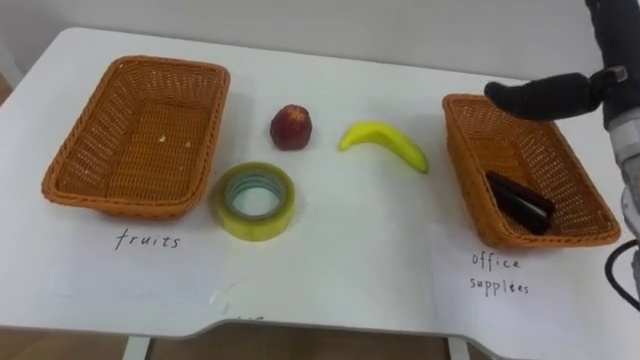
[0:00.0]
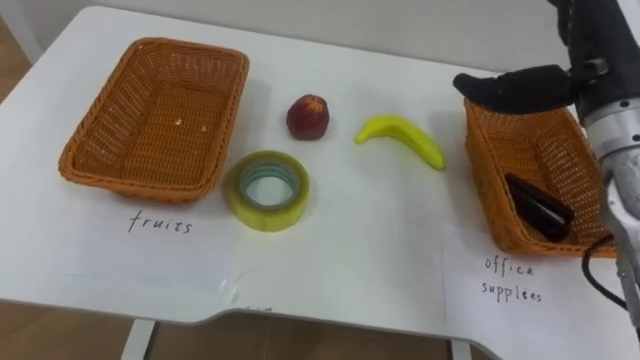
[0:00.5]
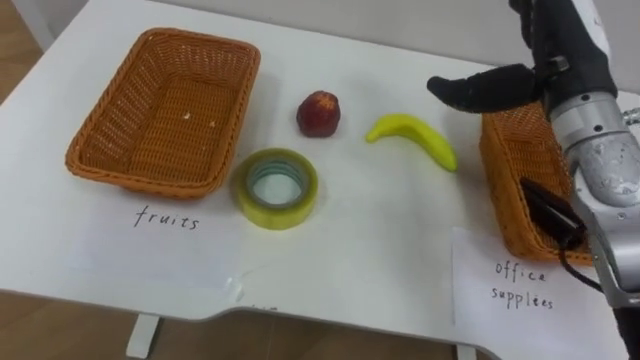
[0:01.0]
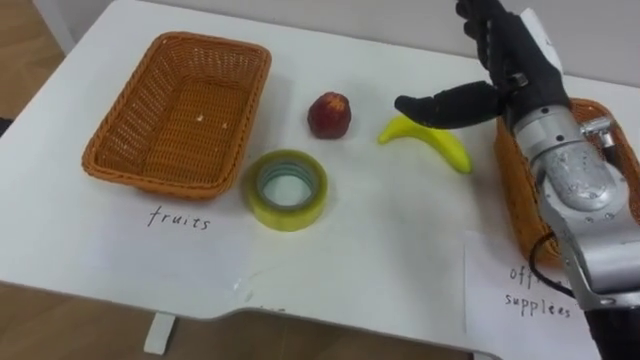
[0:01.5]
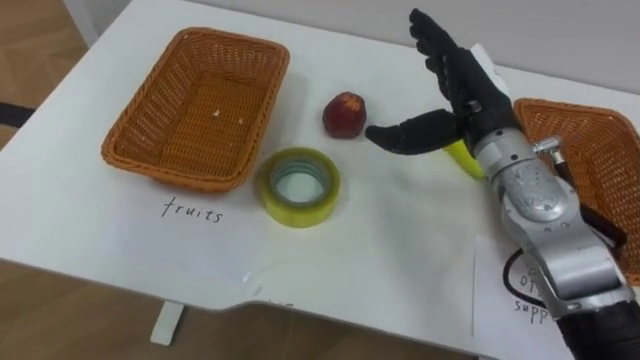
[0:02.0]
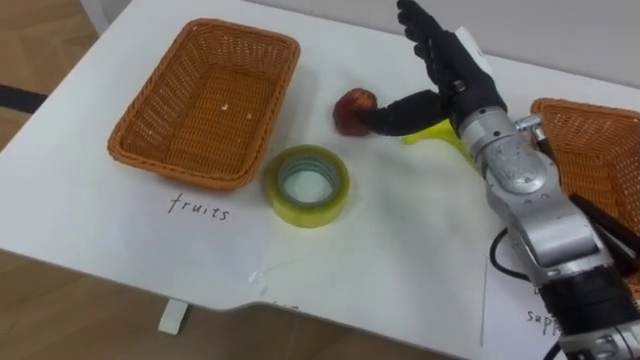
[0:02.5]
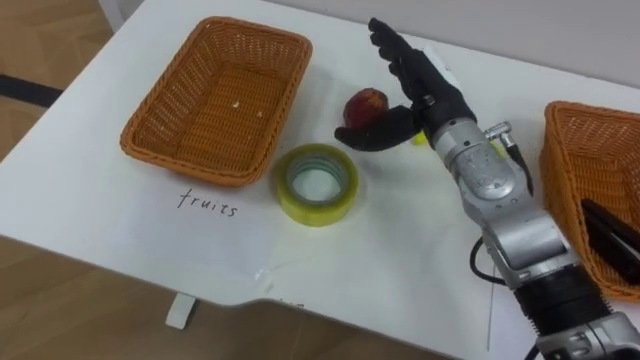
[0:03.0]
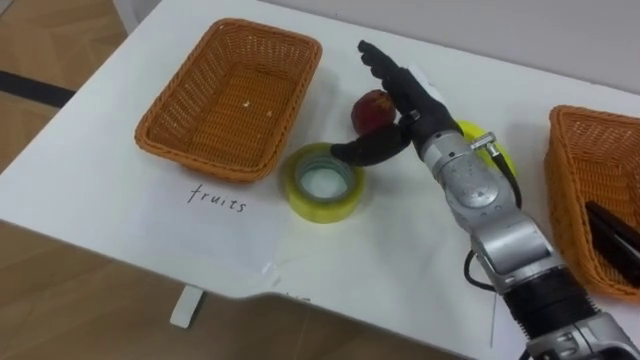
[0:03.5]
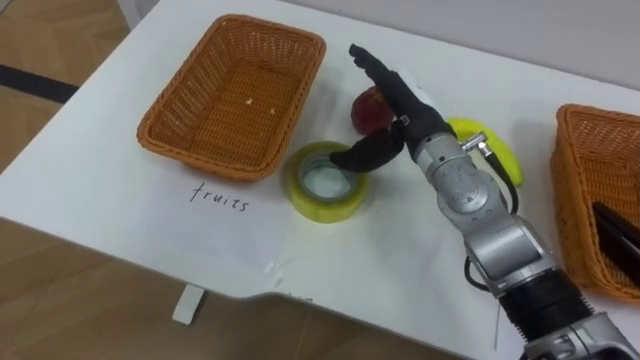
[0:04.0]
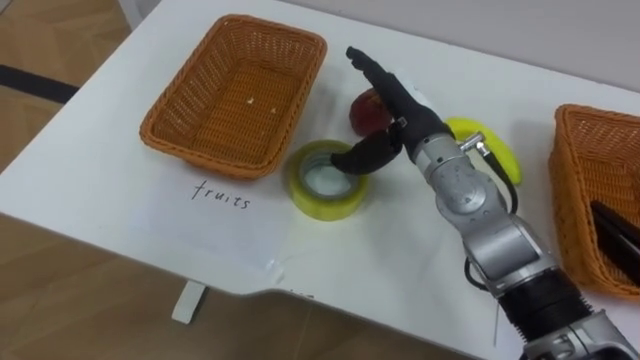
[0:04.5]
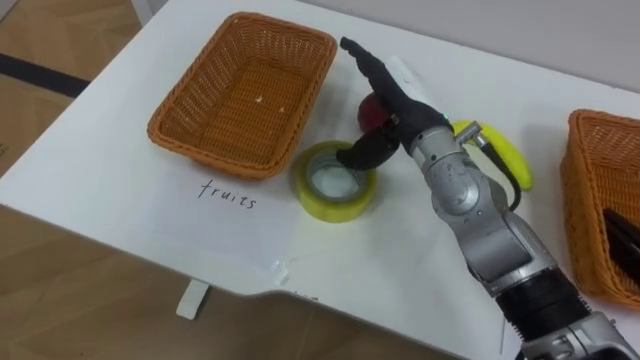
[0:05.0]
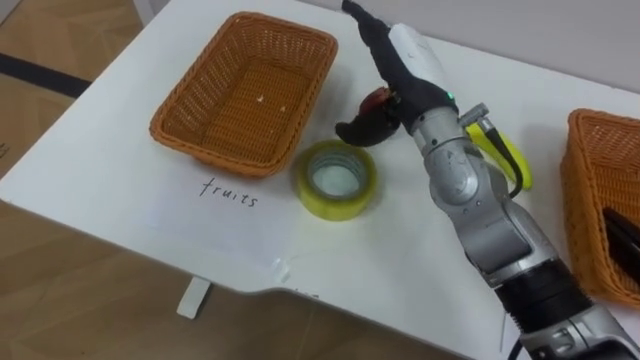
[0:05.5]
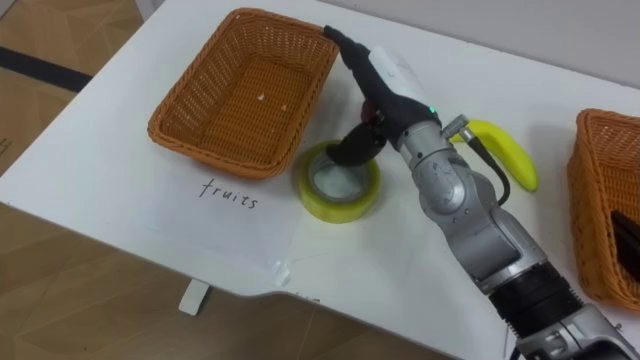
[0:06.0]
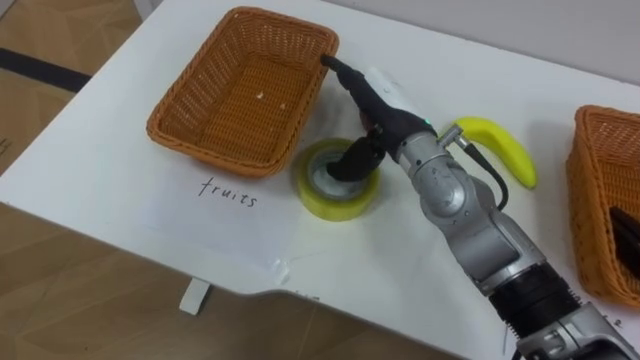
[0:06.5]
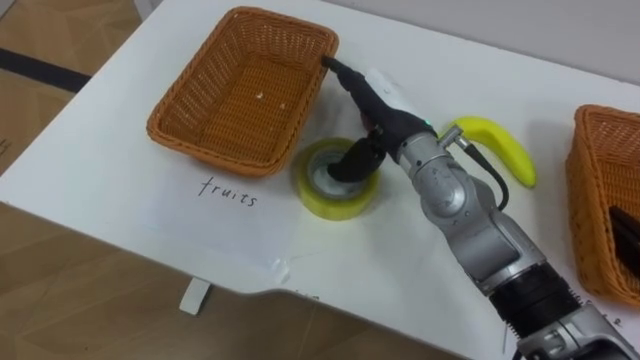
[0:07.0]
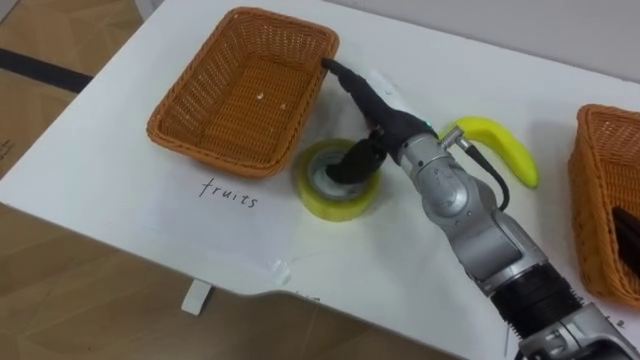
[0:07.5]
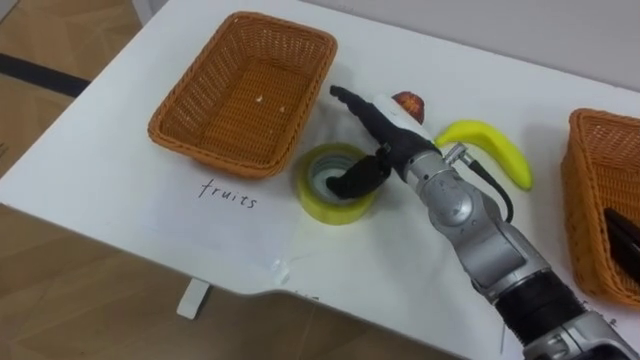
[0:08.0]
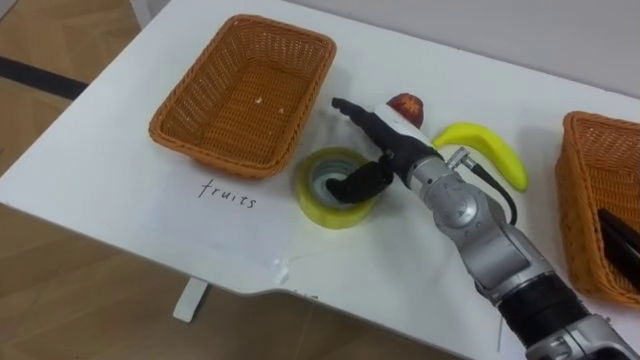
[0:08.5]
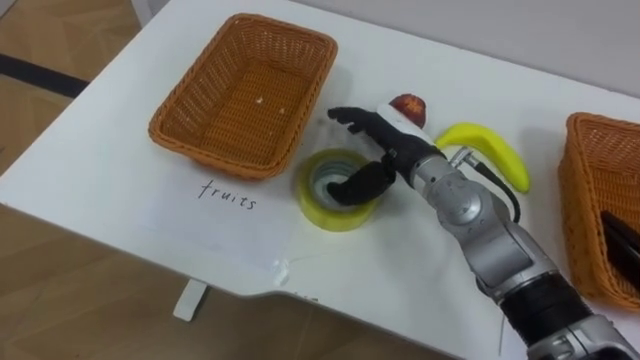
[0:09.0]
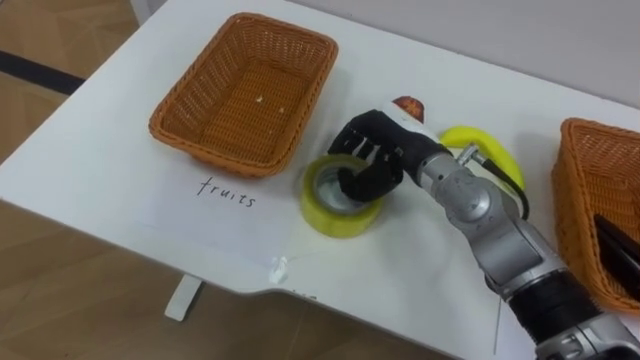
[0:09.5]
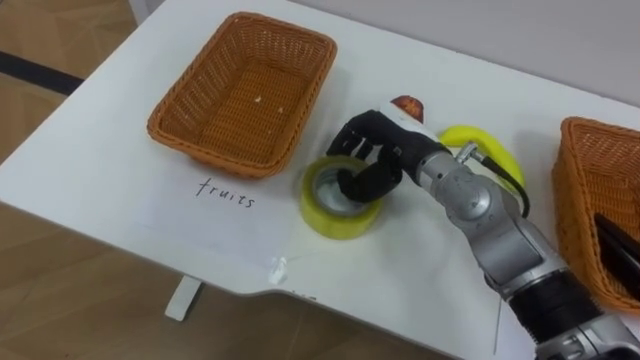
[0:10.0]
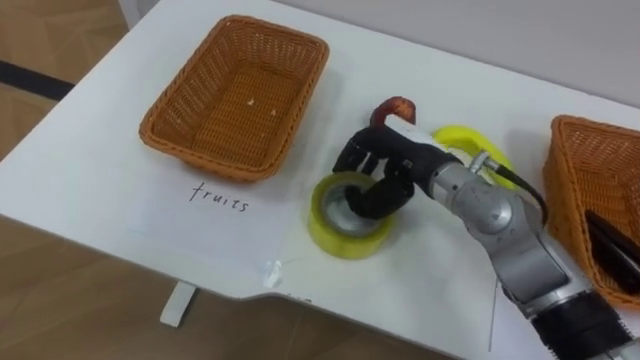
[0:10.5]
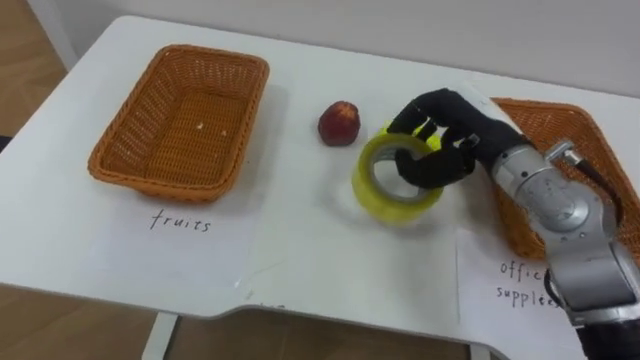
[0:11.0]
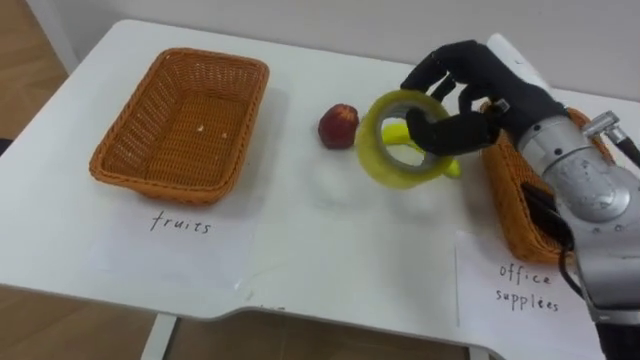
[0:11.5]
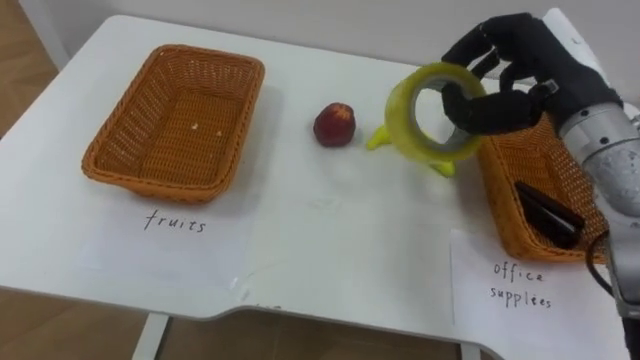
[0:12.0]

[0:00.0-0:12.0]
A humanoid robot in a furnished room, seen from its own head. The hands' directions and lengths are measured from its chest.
Task of the whole recording: Separate the items on the table and place them into the two baskets.
0:00.0 to 0:02.0: The right hand goes some 15 cm to the left and downward.
0:02.0 to 0:04.0: The right hand travels to the left by approximately 5 cm.
0:06.0 to 0:08.0: The right hand heads downward, covering some 5 cm.
0:08.0 to 0:10.0: The right hand closes.
0:10.0 to 0:12.0: The right hand moves to the right and upward, about 20 cm.

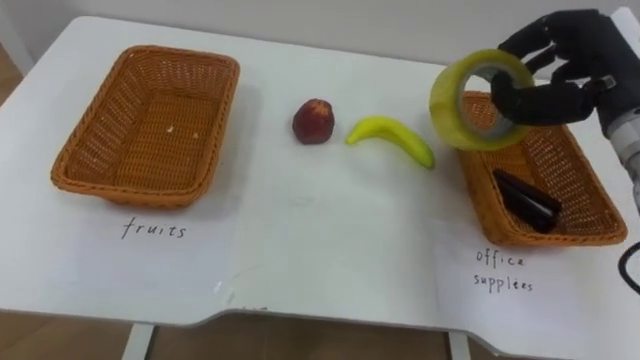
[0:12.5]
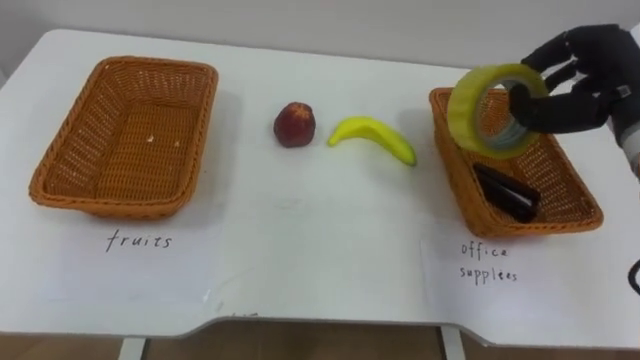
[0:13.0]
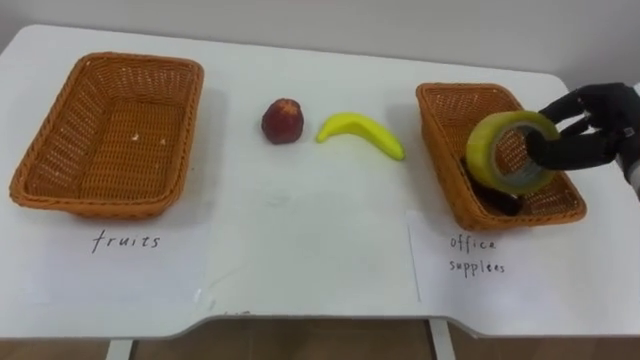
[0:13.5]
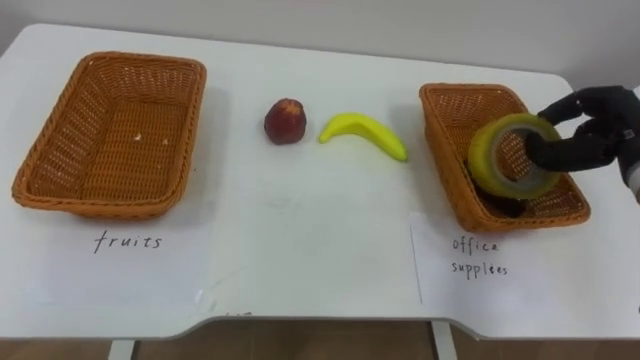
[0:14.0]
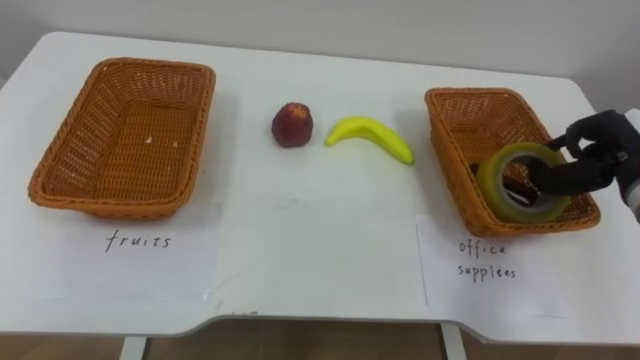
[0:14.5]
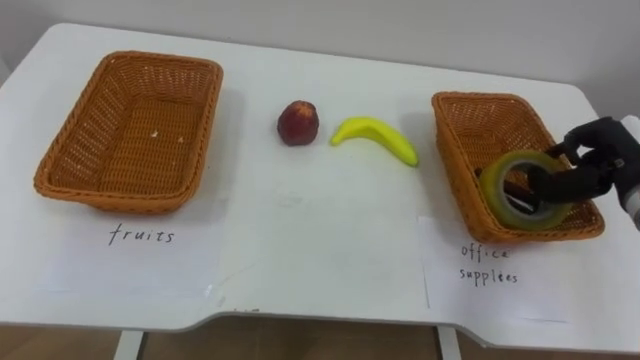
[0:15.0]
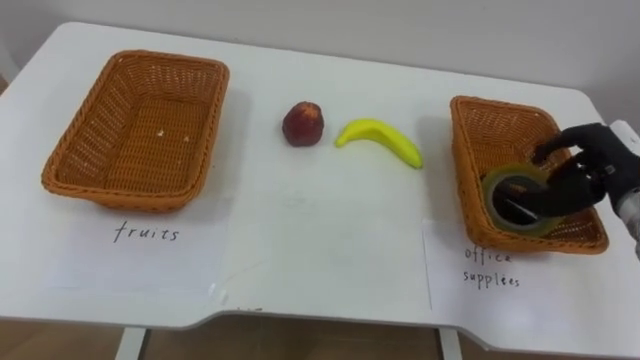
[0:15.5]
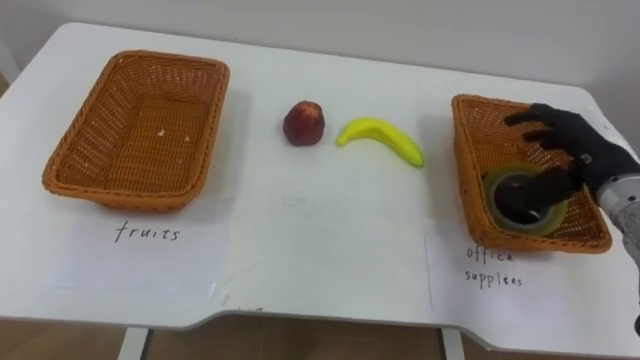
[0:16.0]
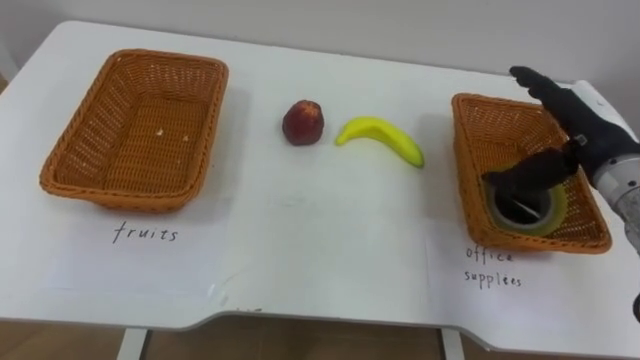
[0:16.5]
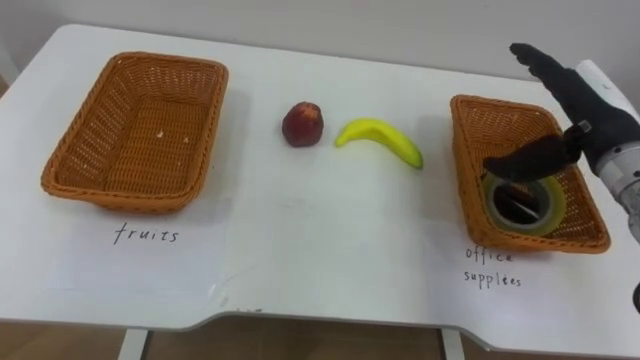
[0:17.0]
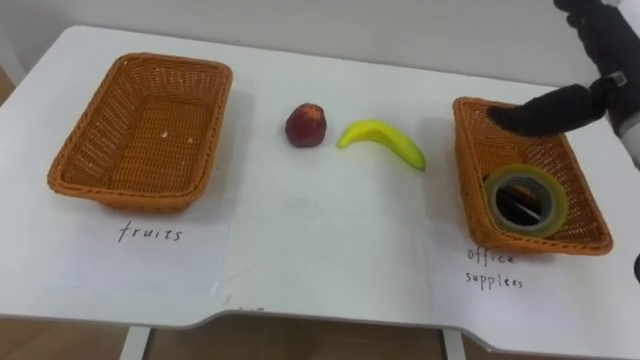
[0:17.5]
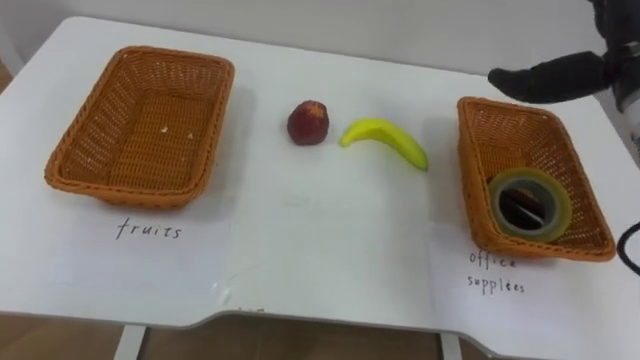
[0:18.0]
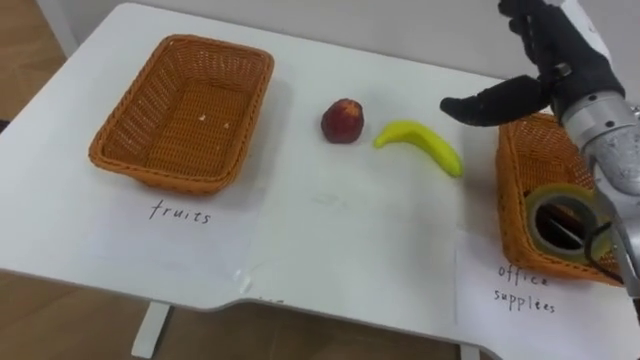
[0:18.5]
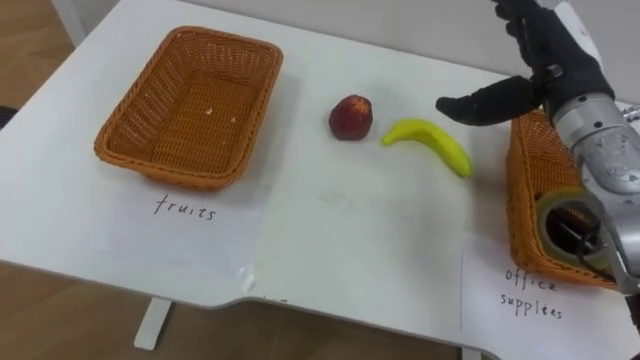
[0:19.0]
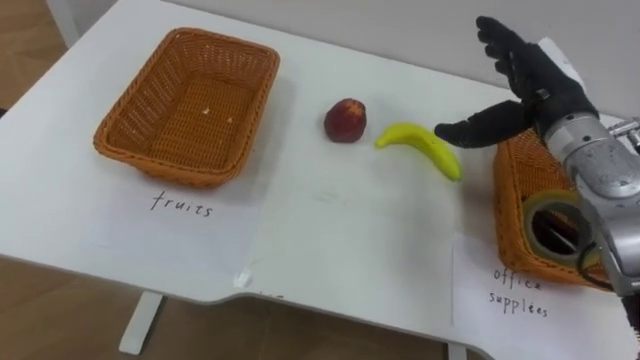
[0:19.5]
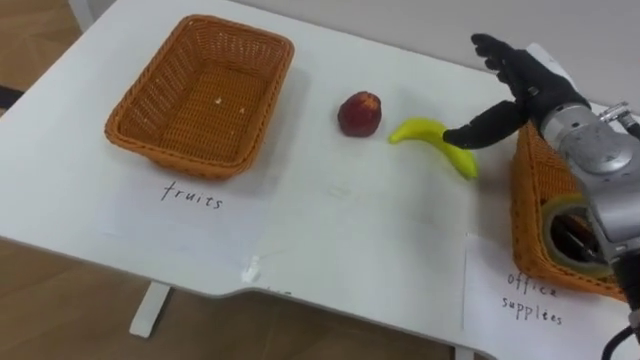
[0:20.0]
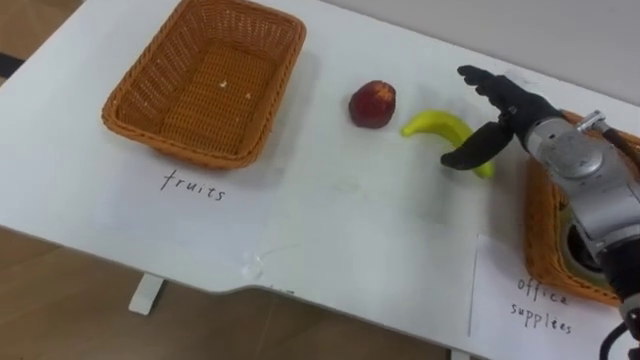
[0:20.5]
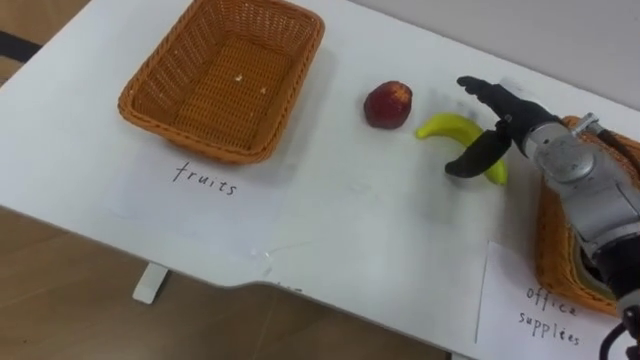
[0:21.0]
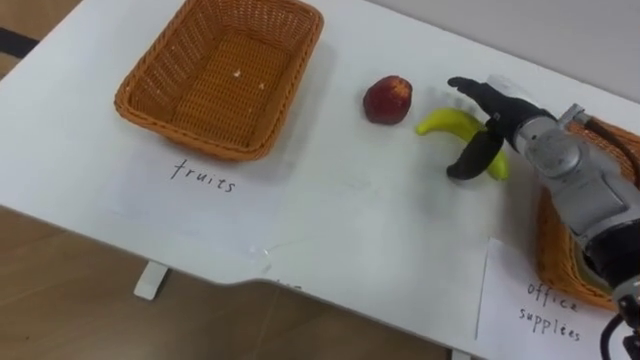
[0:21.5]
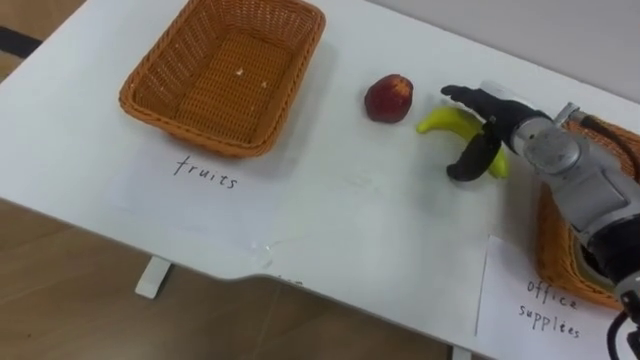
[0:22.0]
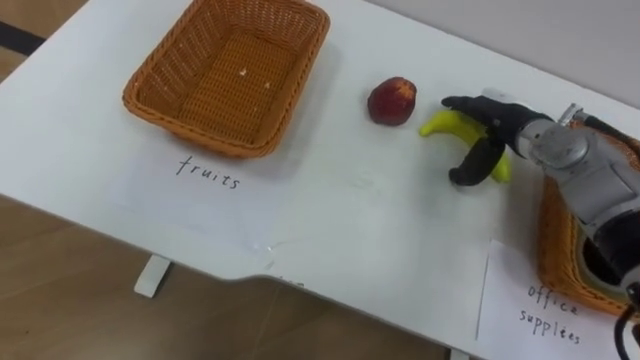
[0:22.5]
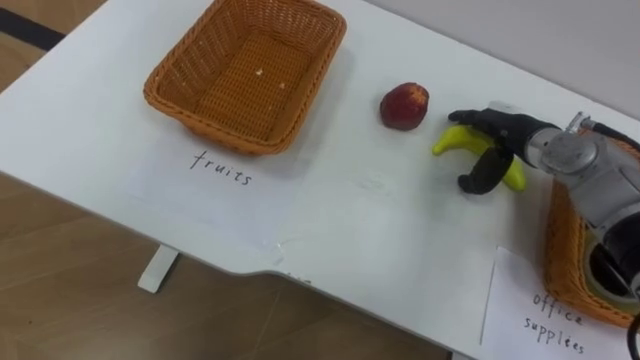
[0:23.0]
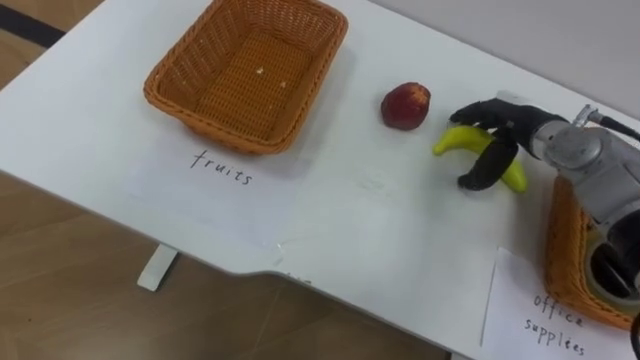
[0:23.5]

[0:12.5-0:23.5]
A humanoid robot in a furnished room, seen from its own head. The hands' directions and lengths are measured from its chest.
Task of the whole recording: Separate the items on the table and place them into the two baskets.
0:12.5 to 0:14.5: The right hand moves downward and to the right, some 15 cm.
0:14.5 to 0:16.0: The right hand opens its fingers.
0:16.0 to 0:18.0: The right hand heads upward, covering about 15 cm.
0:18.0 to 0:20.0: The right hand is displaced downward and forward by some 10 cm.
